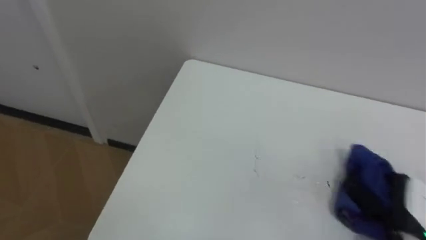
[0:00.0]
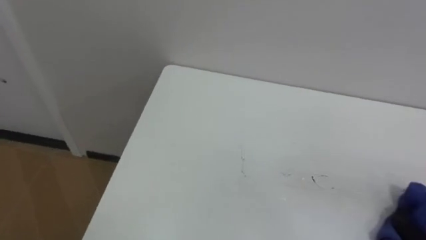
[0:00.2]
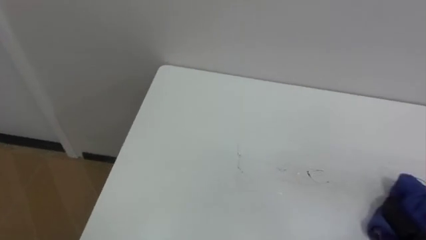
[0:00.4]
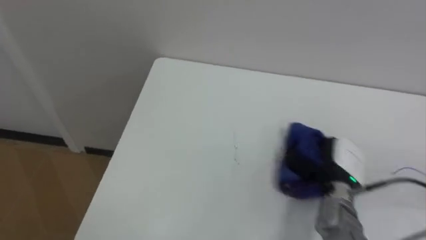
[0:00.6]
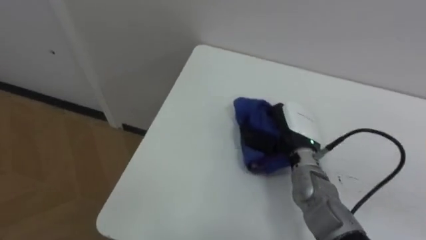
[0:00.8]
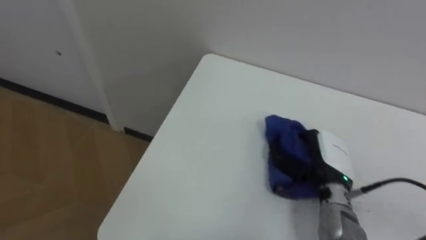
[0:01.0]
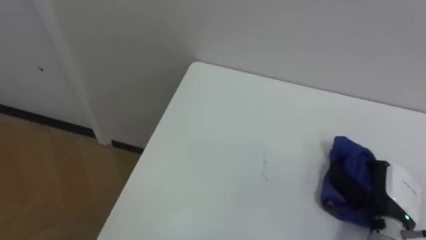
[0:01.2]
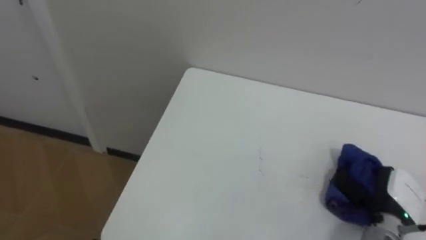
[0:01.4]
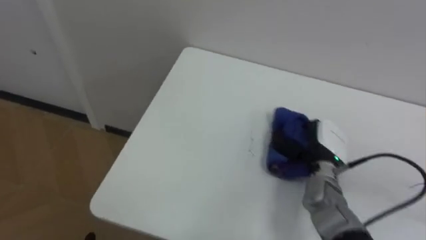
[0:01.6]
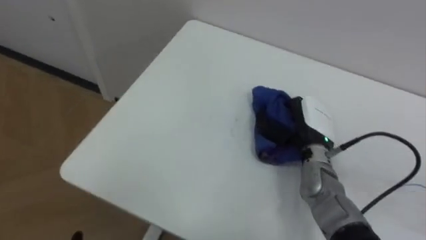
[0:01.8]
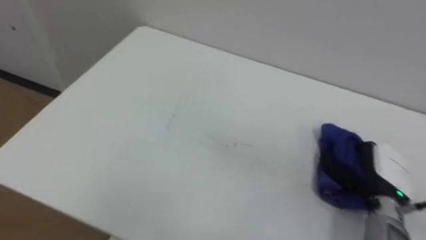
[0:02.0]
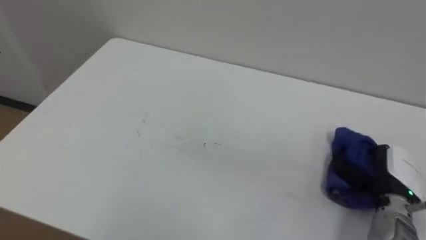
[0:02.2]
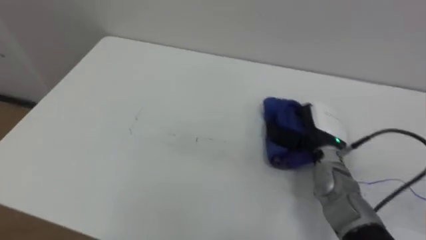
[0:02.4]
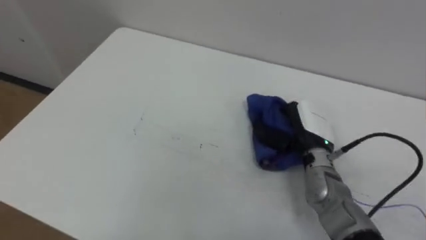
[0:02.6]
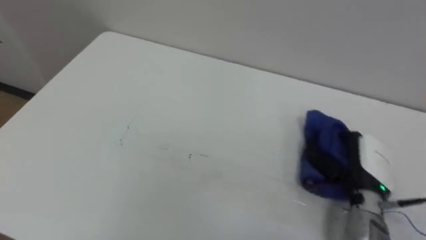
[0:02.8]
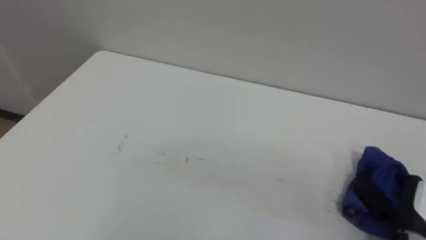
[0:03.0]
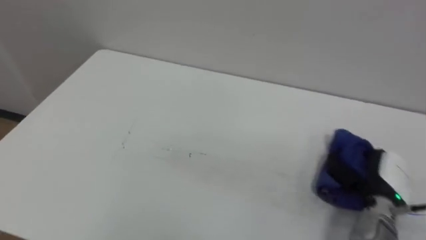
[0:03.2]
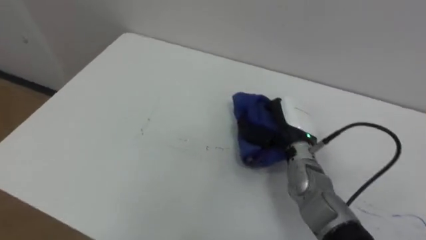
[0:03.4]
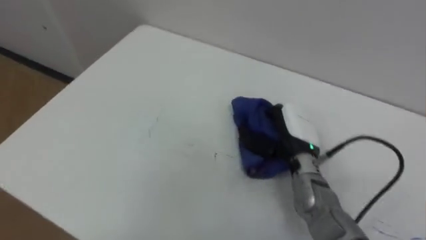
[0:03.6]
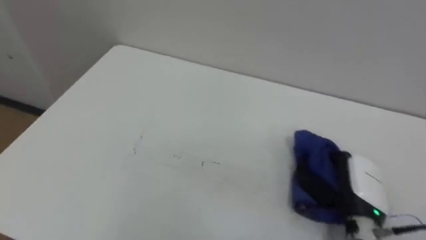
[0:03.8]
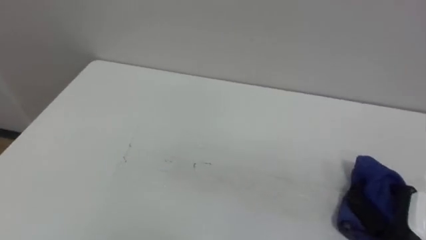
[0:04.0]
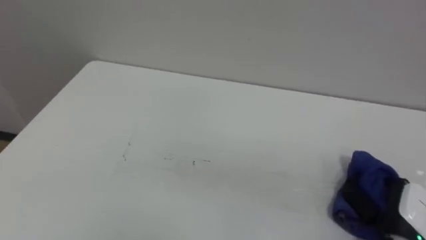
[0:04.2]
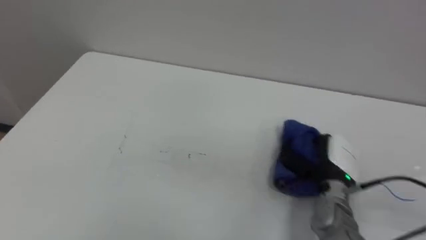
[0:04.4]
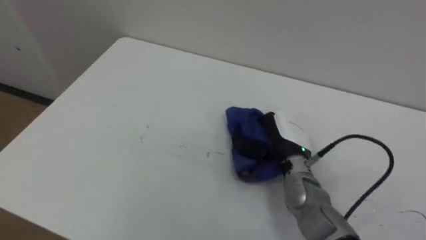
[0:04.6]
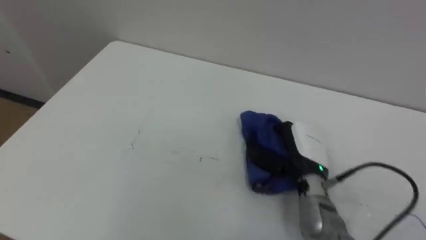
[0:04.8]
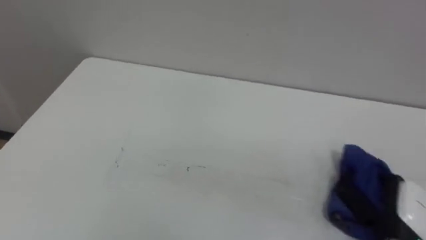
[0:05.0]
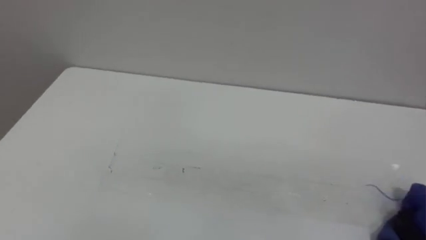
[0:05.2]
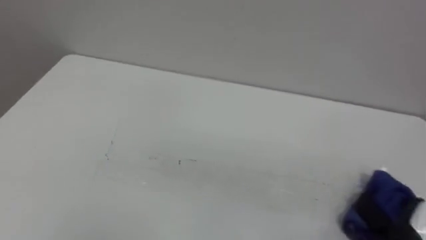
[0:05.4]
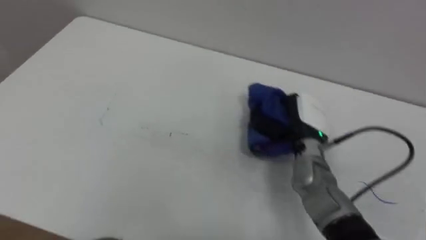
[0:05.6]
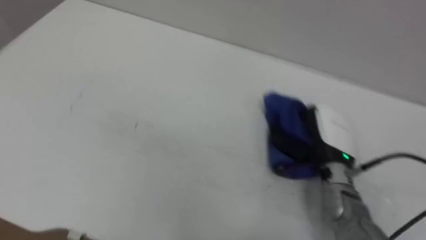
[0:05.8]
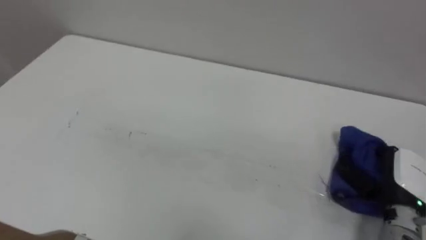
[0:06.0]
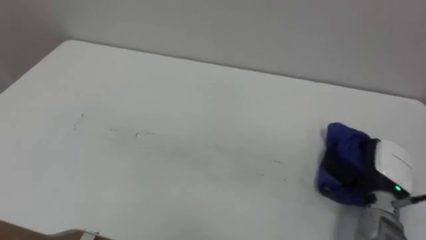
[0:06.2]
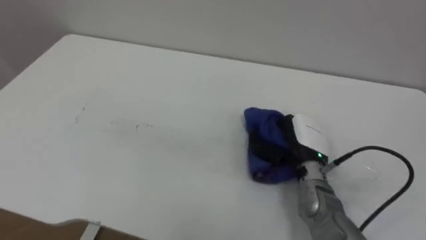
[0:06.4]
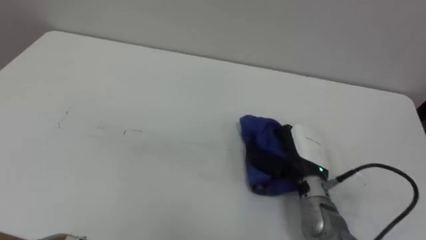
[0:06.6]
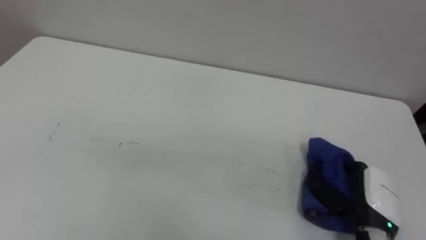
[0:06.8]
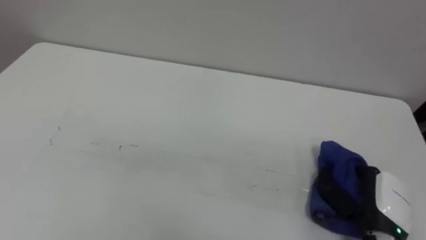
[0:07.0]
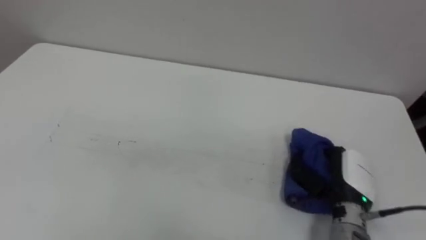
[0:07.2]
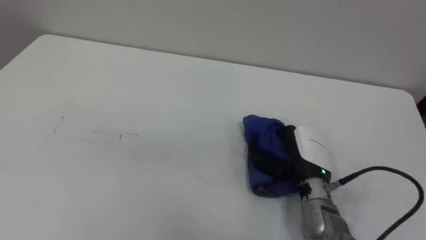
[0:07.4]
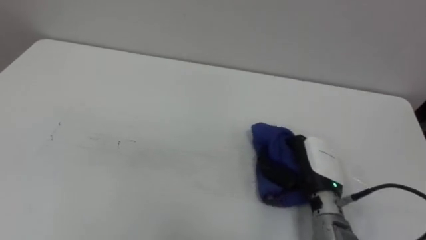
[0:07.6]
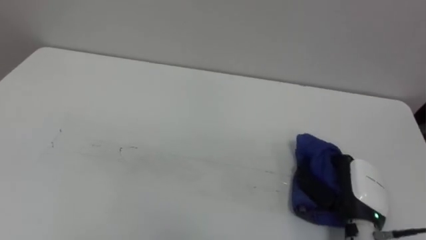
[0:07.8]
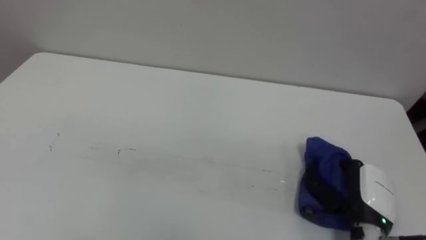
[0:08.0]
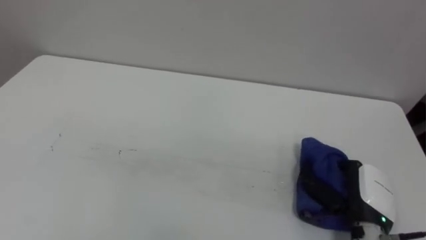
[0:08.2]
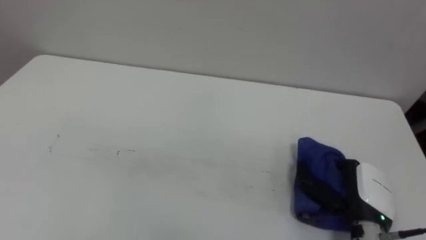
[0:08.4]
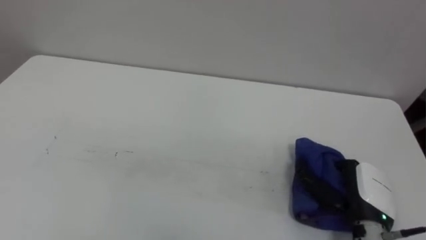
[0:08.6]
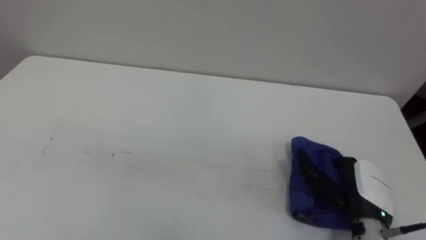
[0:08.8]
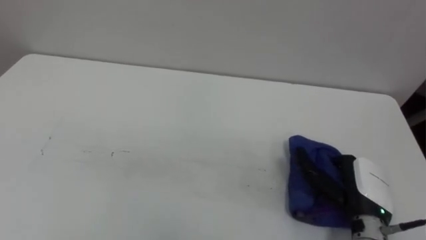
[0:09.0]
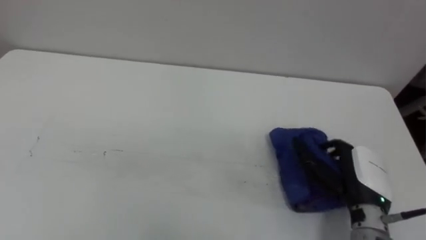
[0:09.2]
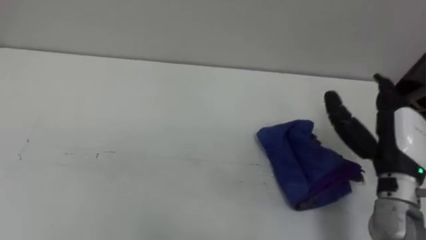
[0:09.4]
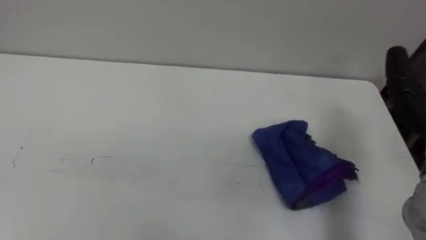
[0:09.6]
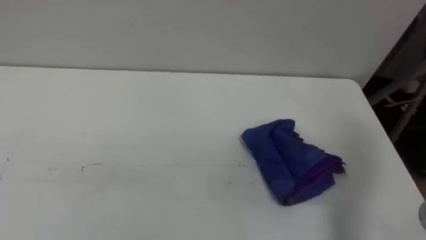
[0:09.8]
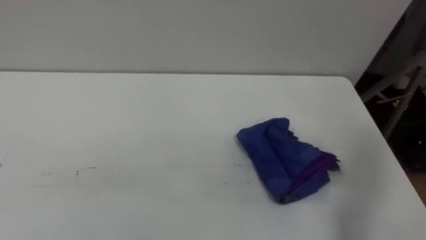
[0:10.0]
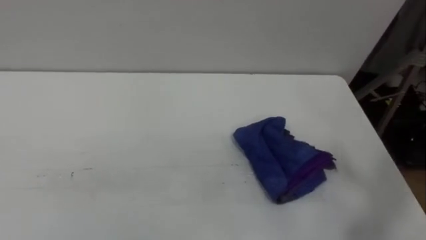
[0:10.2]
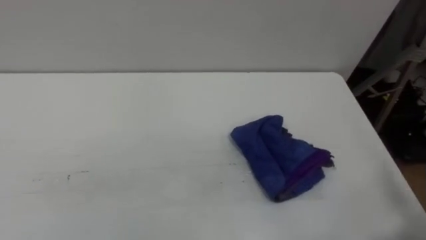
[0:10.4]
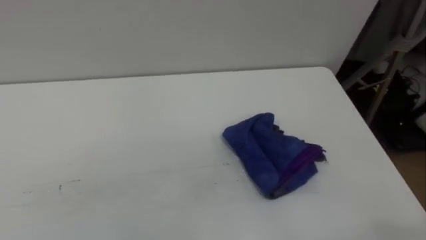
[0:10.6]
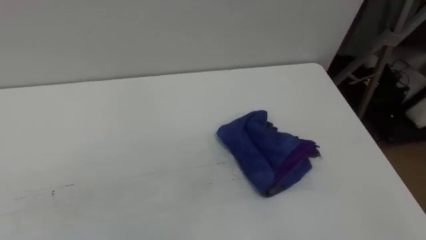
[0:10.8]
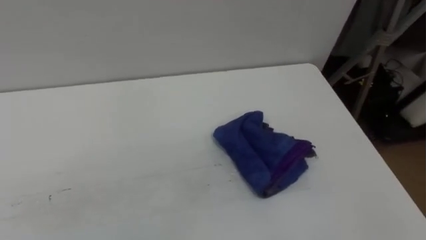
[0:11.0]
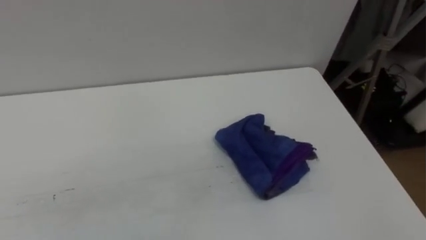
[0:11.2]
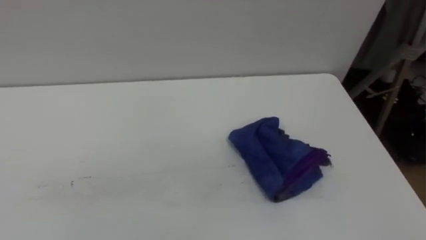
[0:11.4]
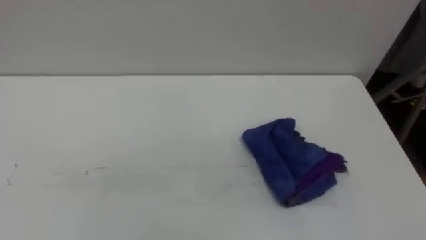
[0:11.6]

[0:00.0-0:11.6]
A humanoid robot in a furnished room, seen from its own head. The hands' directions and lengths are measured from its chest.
Task of the whole recording: Wipe the blue pen marks off the table with the rag.
0:01.4 to 0:02.8: The right hand swings left and right, about 15 cm each way, with 3 reversals.
0:02.8 to 0:04.4: The right hand moves left and right over roughly 20 cm, changing direction 3 times.
0:05.8 to 0:07.2: The right hand moves left and right over approximately 15 cm, changing direction 3 times.
0:07.2 to 0:08.8: The right hand goes to the left and returns, approximately 10 cm each way, and opens.

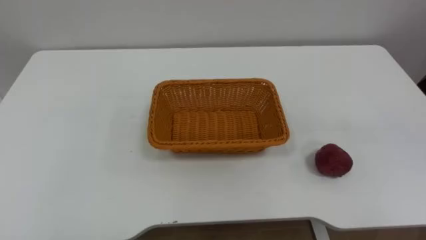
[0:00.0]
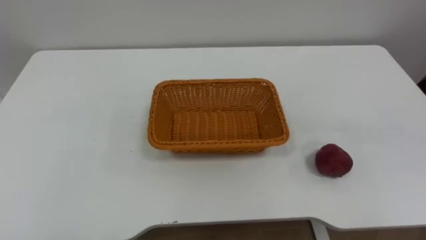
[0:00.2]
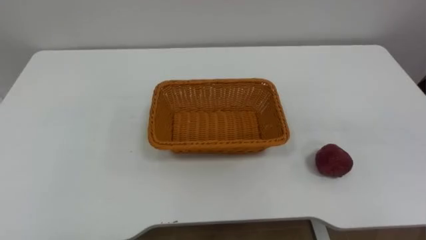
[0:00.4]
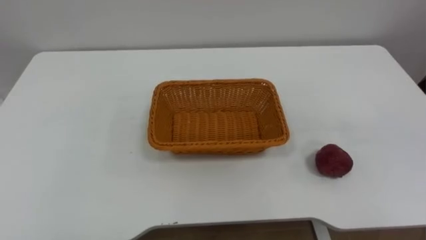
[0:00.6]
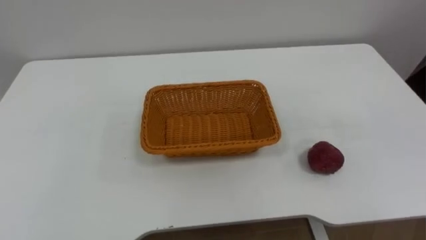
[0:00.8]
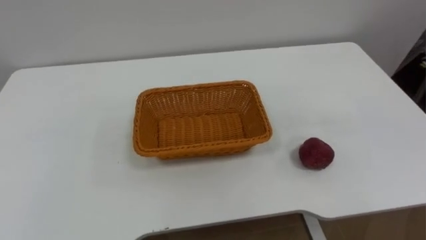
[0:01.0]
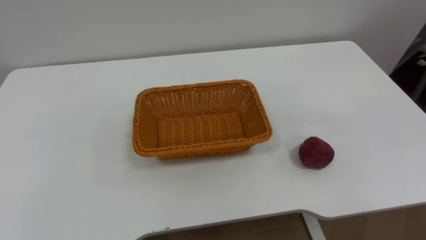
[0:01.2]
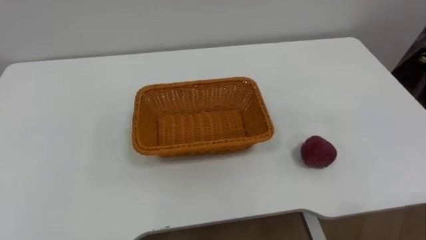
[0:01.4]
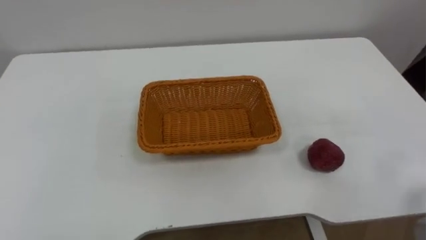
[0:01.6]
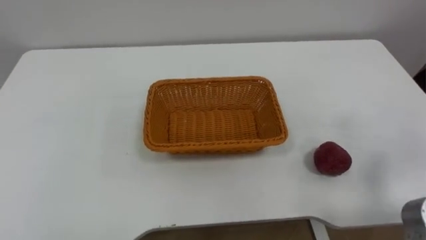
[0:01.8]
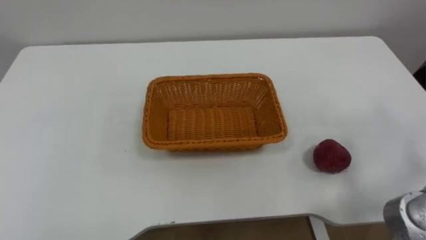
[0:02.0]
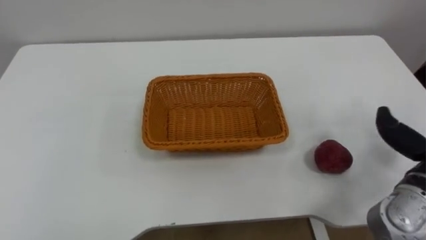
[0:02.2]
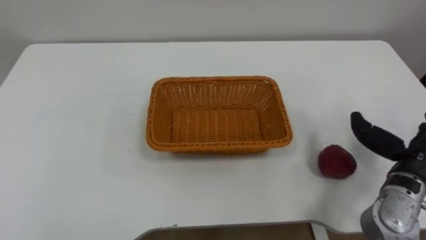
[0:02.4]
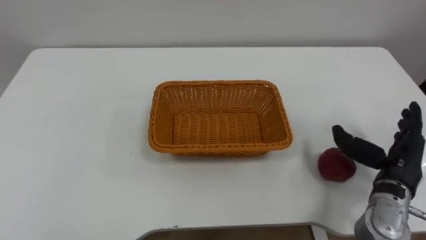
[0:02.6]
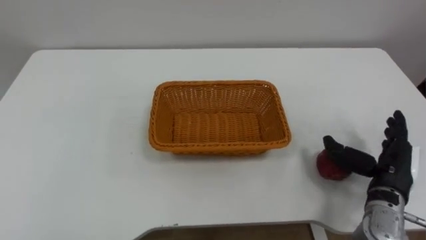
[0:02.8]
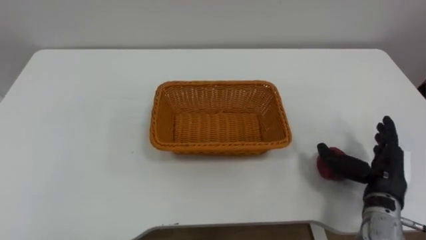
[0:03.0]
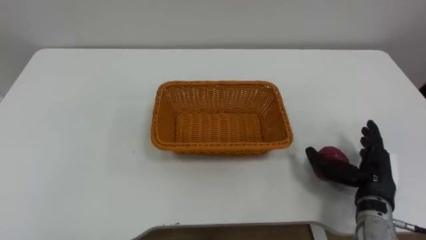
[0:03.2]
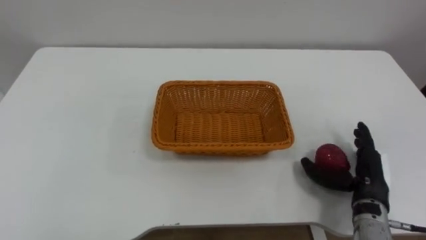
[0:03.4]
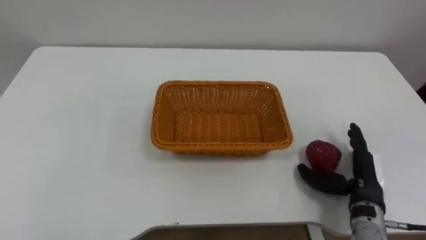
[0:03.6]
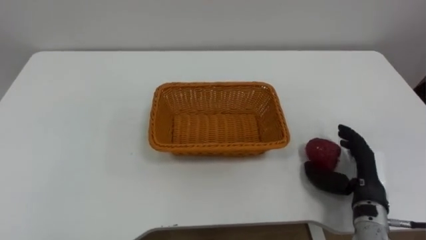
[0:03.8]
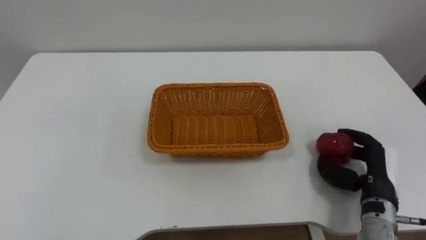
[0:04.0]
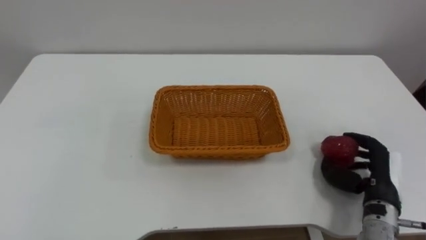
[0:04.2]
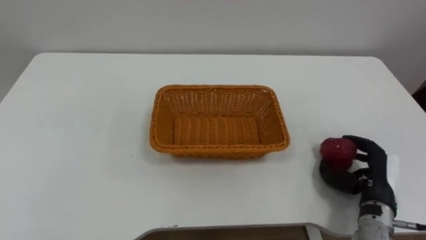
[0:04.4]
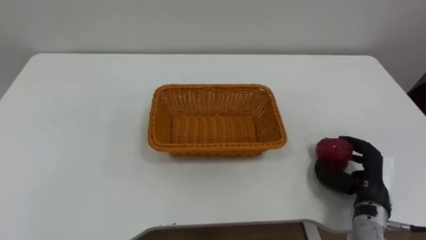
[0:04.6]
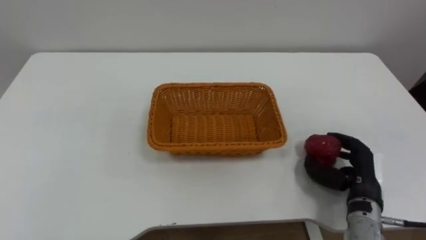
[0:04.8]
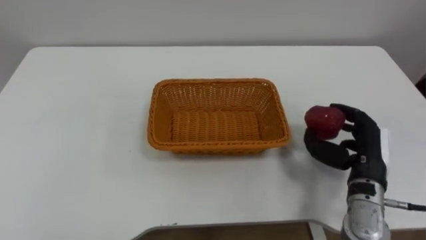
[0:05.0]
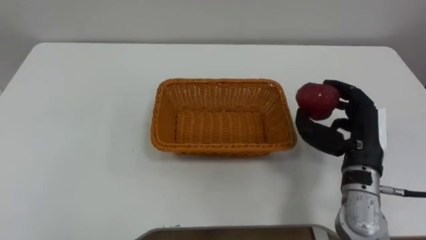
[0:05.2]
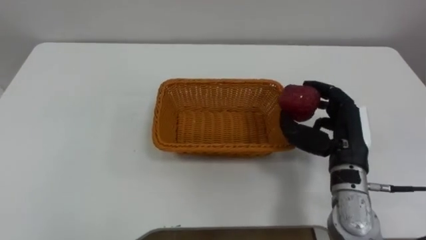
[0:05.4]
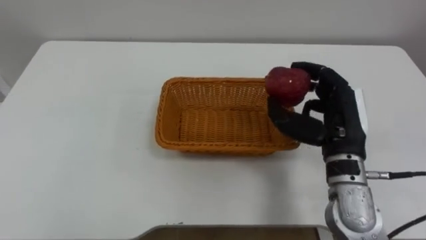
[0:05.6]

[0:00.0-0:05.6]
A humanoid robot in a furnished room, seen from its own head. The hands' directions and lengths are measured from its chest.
Task of the whole recording: Pick the apple and place it in the box.
0:02.8 to 0:04.2: The right hand closes.
0:04.2 to 0:05.6: The right hand moves upward and to the left, some 15 cm.
